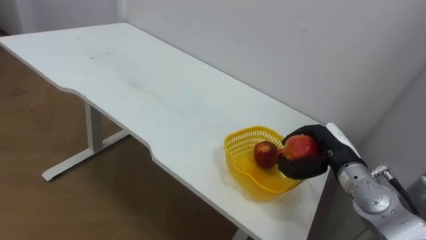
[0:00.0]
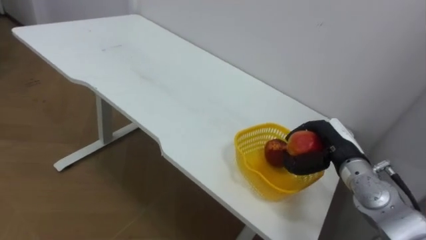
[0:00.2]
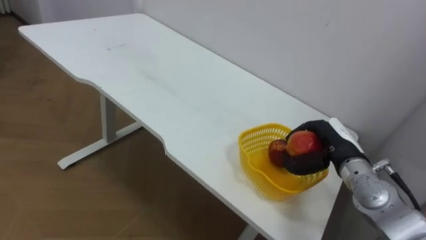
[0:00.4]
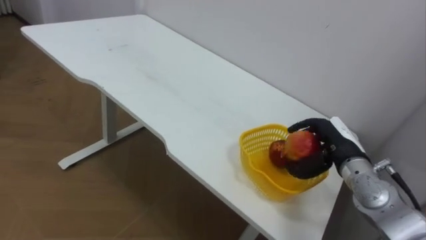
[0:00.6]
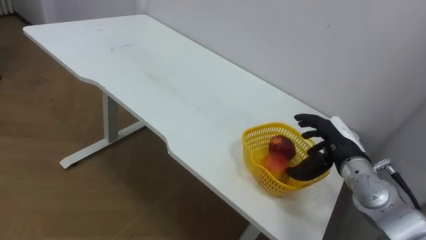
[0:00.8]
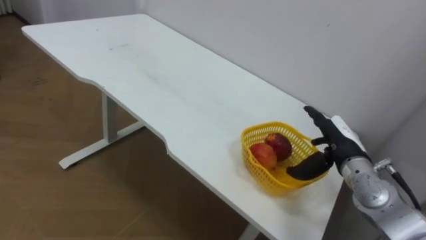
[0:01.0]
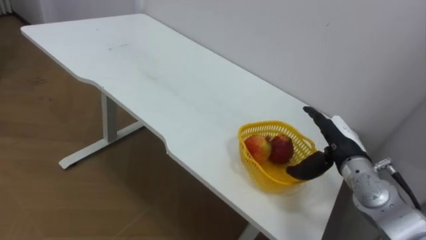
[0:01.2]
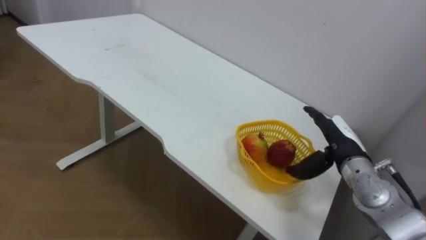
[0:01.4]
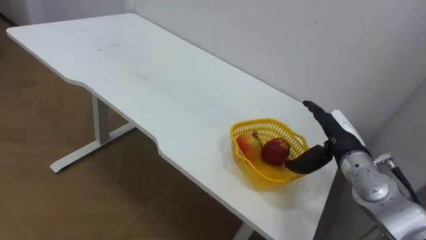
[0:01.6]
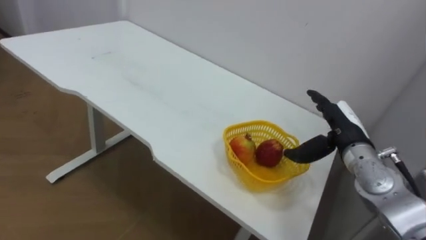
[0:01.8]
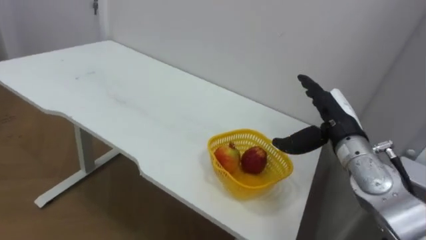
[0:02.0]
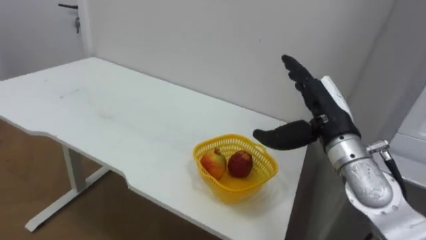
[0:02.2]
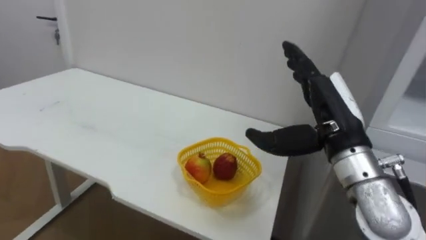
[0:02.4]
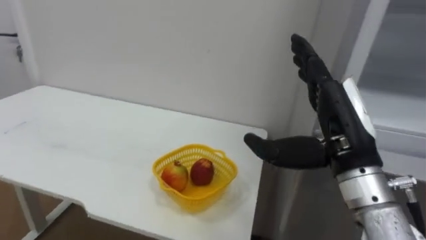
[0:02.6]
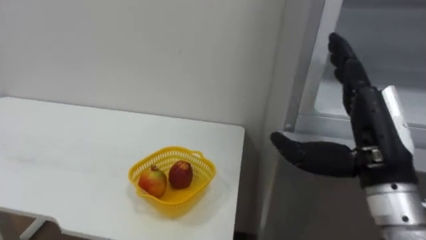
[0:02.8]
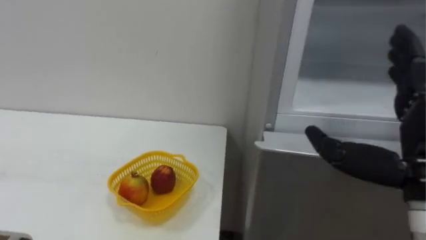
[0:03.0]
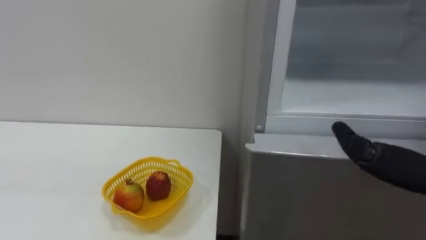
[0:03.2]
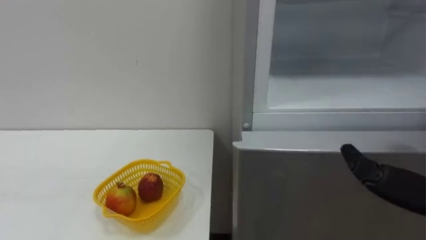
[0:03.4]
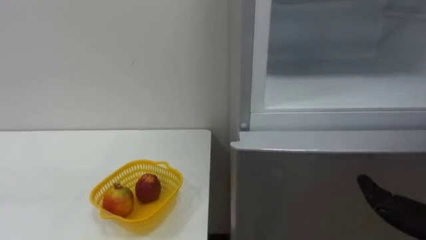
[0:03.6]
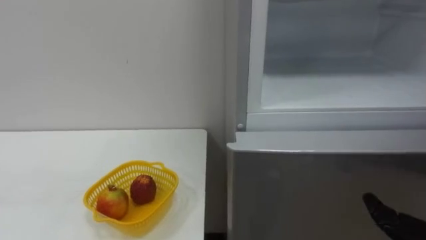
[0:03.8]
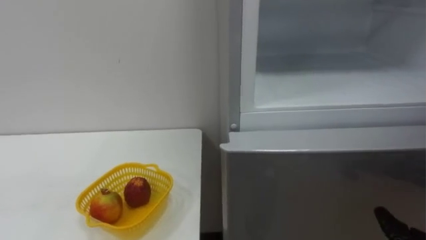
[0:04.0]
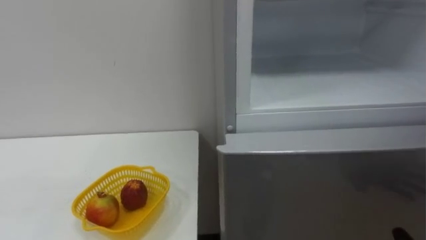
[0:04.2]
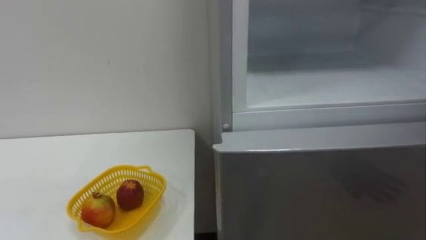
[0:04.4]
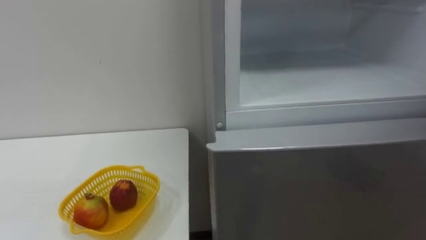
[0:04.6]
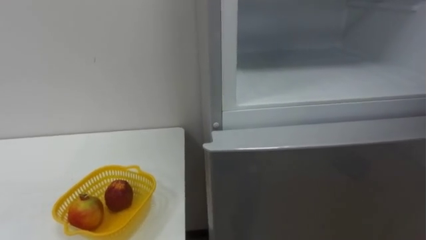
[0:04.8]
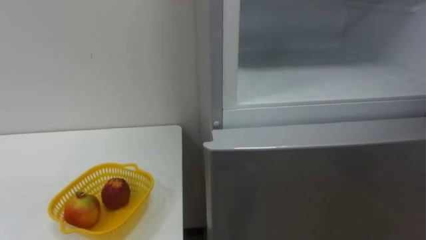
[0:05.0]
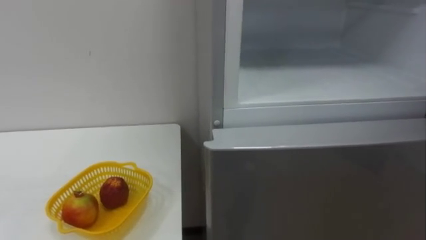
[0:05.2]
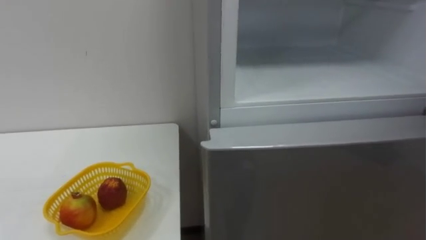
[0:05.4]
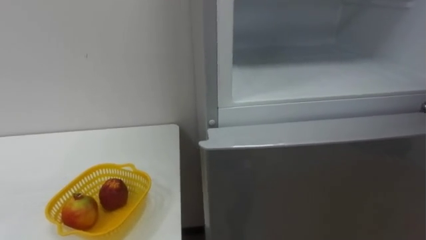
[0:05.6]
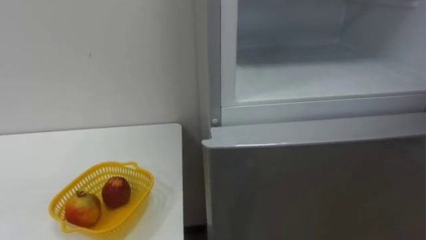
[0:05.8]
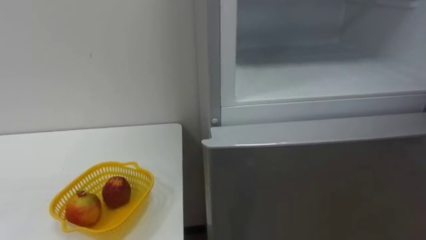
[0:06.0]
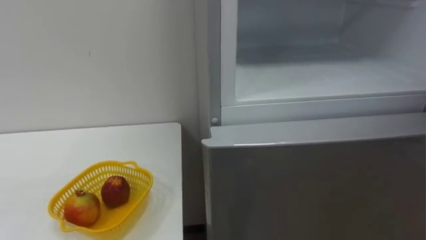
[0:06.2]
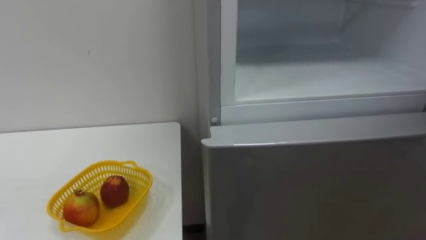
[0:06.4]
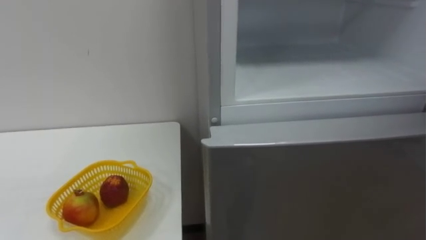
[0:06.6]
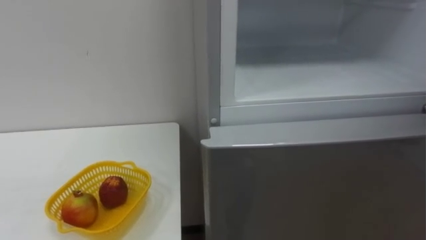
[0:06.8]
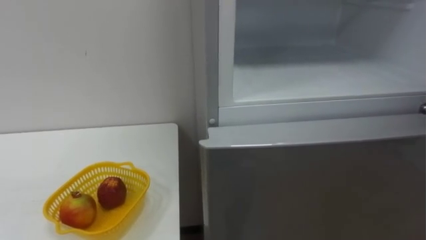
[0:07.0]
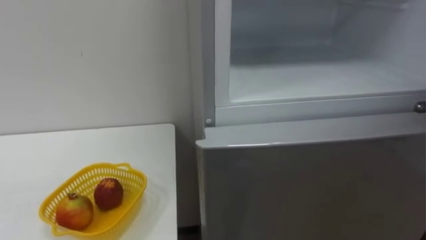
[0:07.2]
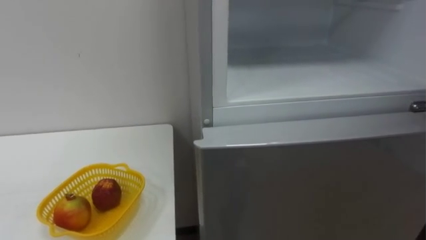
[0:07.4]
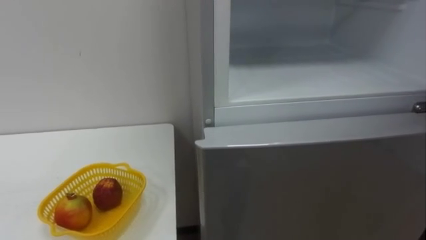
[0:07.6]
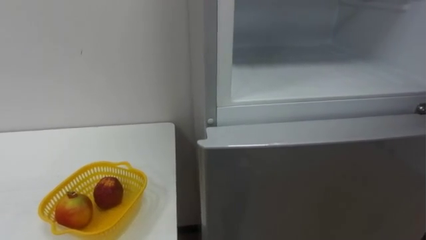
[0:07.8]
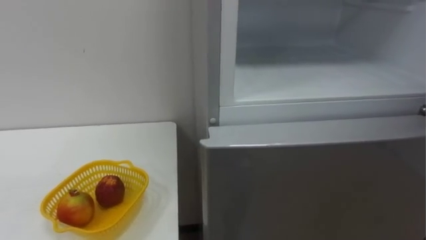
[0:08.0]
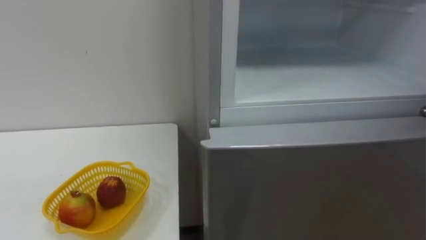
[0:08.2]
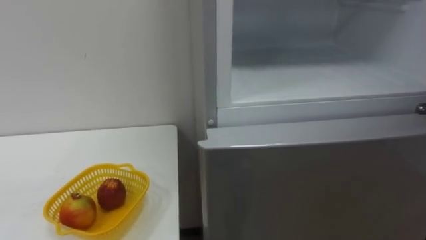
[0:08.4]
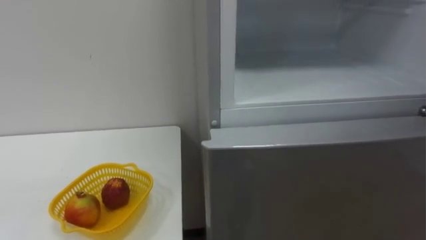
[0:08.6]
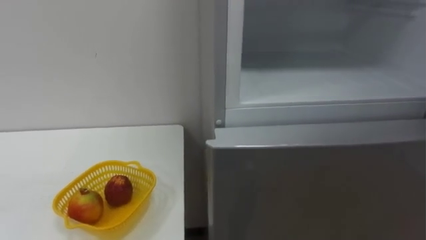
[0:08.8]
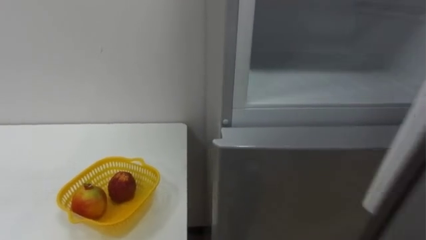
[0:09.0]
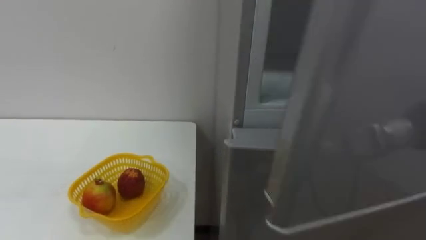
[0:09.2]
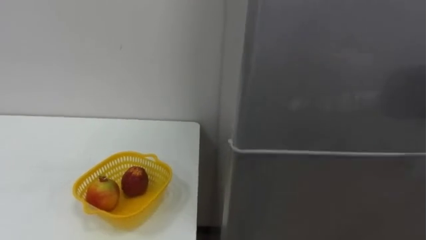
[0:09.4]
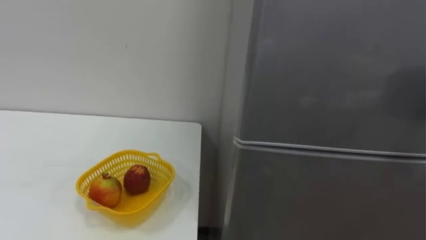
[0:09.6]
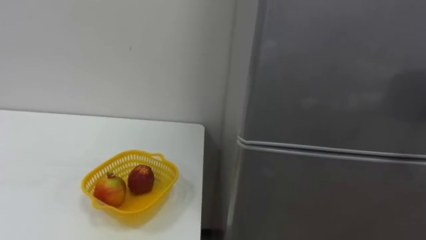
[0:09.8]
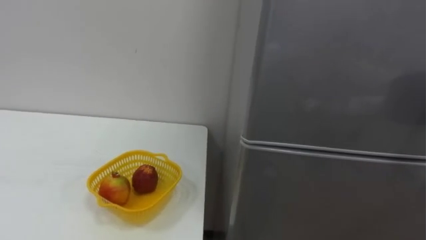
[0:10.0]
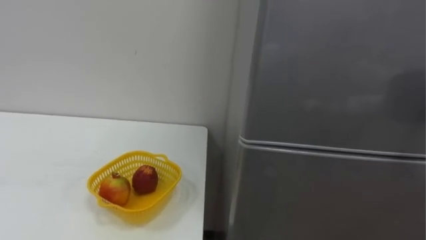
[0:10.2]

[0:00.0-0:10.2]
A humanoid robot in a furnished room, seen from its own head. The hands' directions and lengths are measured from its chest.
Task of the whole recording: Open the refrigerator door, take out the apple and the pomegranate, place them in the fruit basket on the left, and close the refrigerator door.
0:00.0 to 0:01.4: The right hand opens its fingers.
0:01.4 to 0:03.0: The right hand travels backward and upward by approximately 20 cm.

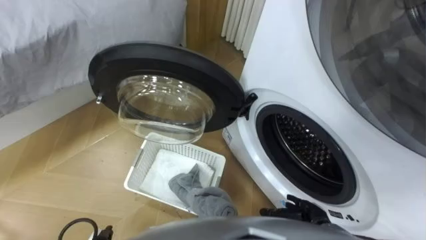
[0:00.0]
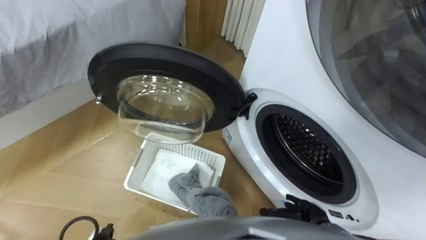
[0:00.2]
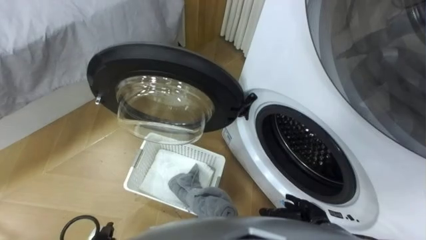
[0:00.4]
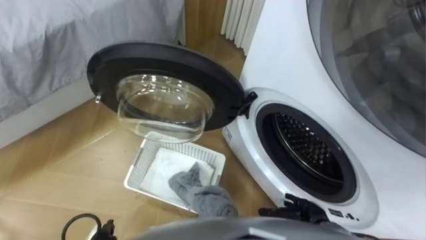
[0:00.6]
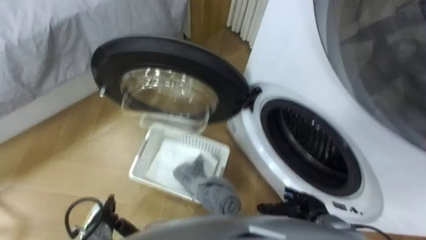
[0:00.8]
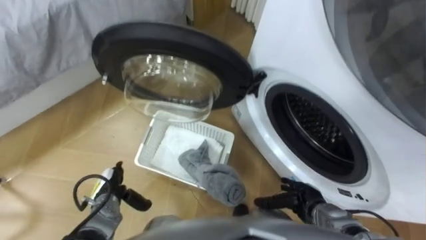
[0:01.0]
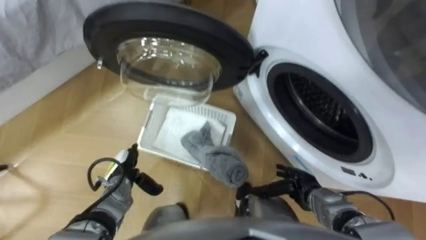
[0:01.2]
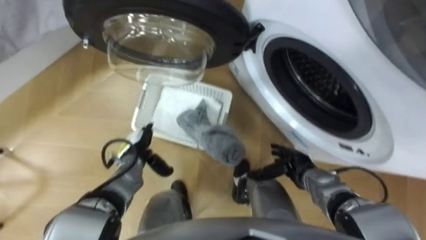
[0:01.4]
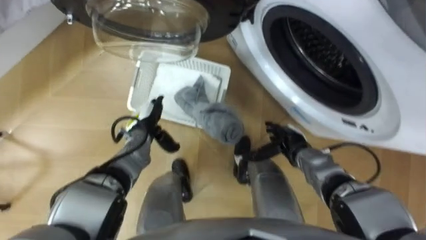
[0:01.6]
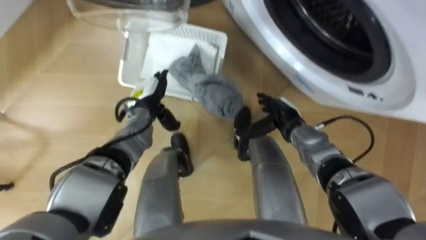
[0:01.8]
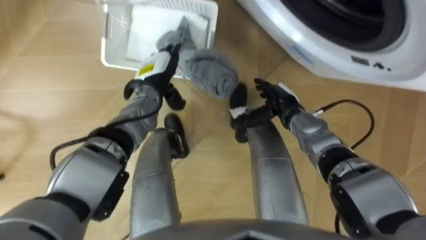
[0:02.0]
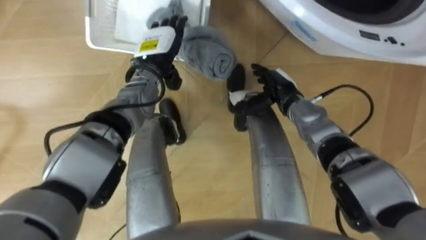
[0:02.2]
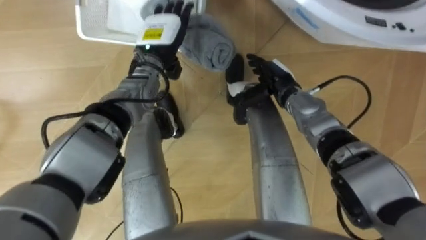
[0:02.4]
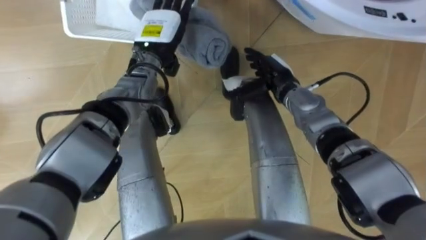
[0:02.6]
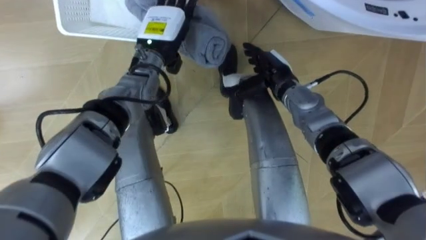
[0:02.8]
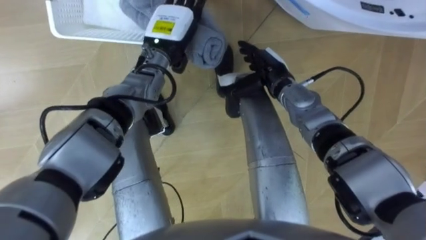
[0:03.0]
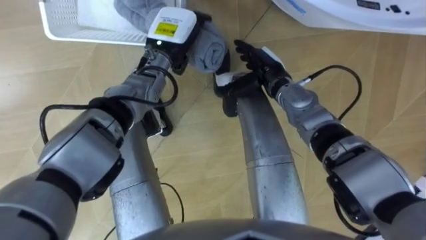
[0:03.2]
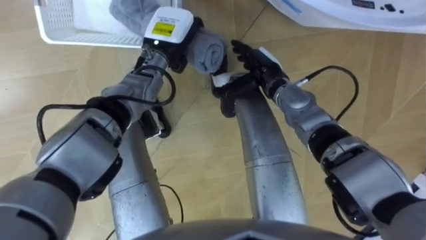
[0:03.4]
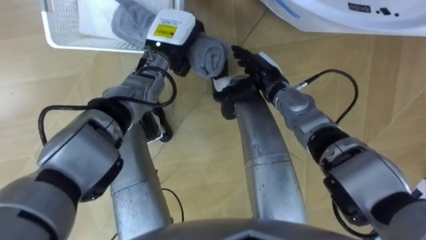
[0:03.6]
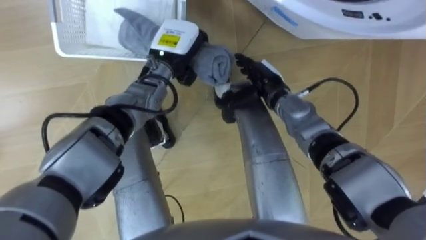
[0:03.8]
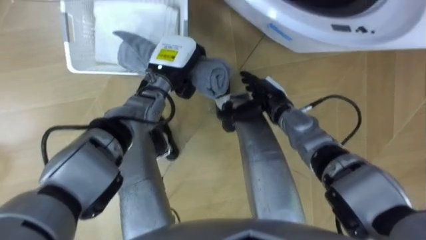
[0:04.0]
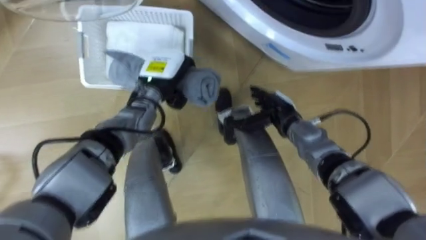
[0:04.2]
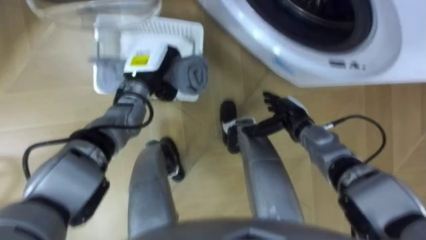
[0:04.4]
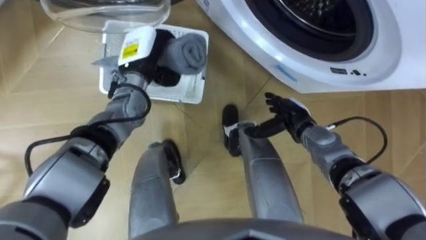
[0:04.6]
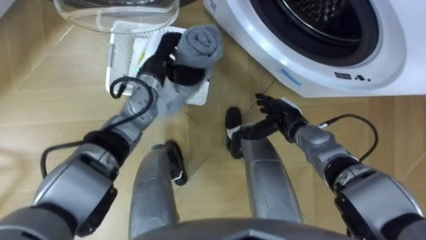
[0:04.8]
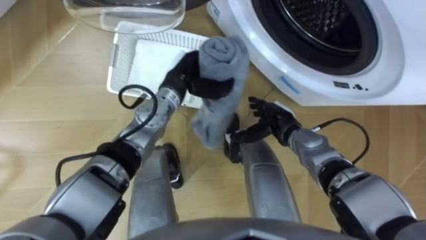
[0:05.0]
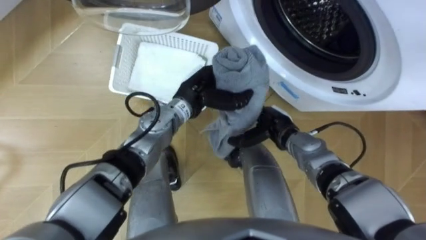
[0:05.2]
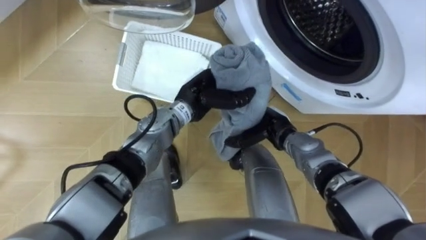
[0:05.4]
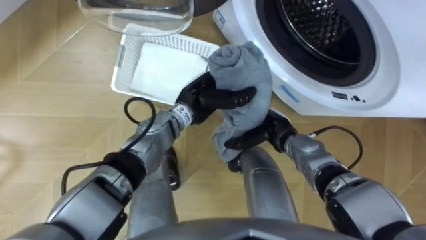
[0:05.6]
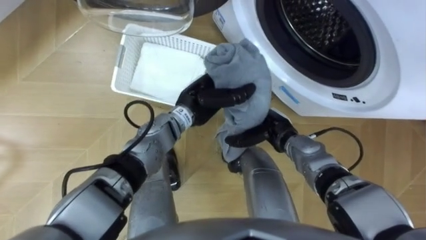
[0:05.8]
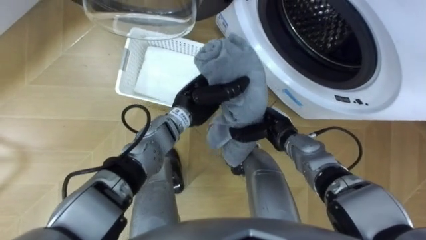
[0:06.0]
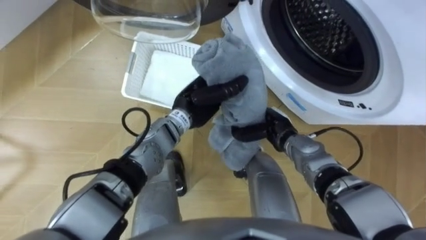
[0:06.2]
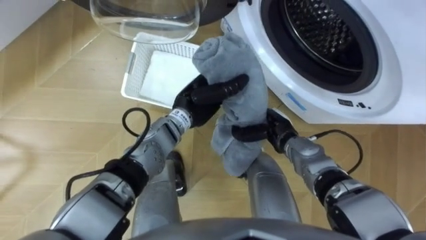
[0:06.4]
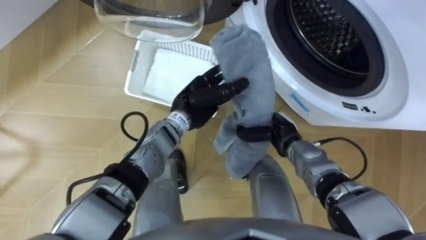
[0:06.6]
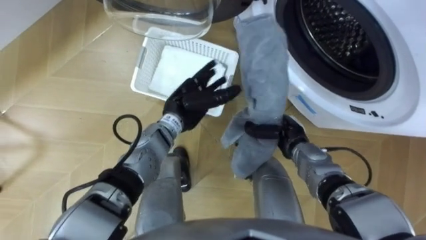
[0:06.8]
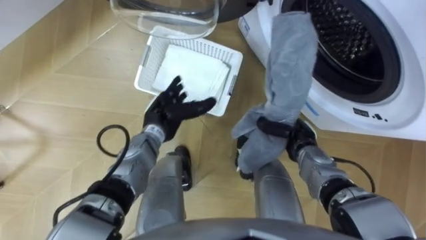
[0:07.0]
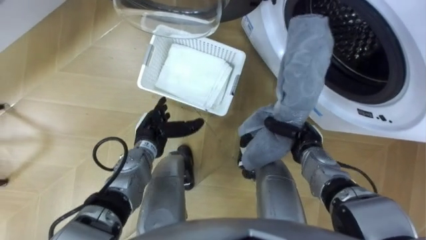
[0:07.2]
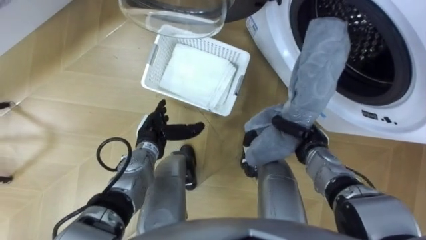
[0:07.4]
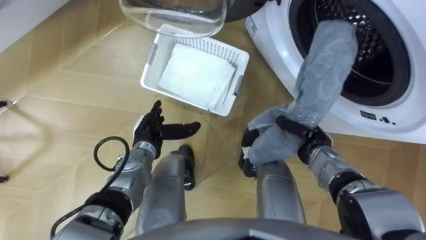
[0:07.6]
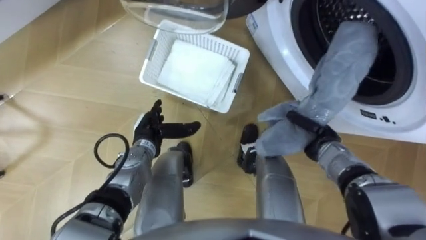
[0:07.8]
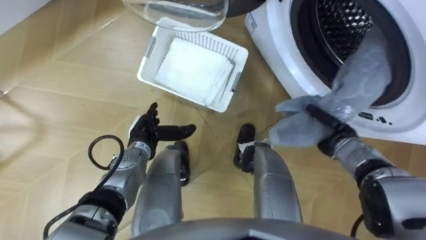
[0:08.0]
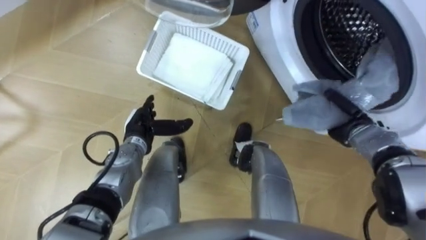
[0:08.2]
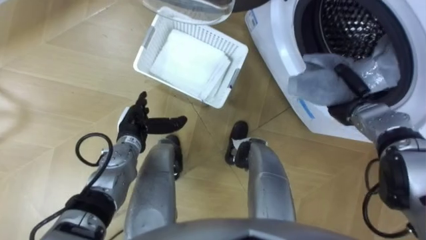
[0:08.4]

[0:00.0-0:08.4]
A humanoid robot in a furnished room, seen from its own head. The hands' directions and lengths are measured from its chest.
Task of the whole recording: Take the towel from the basket and put it into the washing machine.
0:01.4 to 0:02.8: The left hand heads upward, forward and to the right, covering roughly 30 cm. The right hand heads forward, upward and to the left, covering about 25 cm.
0:02.8 to 0:04.2: The right hand is displaced downward and backward by approximately 10 cm; the left hand is displaced downward by some 5 cm, and closes its fingers.
0:04.2 to 0:05.6: The left hand heads to the right, covering some 10 cm.
0:05.6 to 0:07.0: The right hand goes approximately 5 cm to the right, and closes. Meanwhile the left hand travels to the left by some 10 cm, and opens up.
0:07.0 to 0:08.4: The right hand shifts some 15 cm to the right, forward and upward, while the left hand is displaced to the left by roughly 5 cm.
